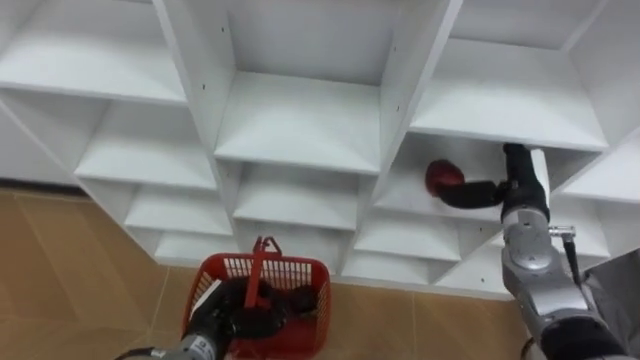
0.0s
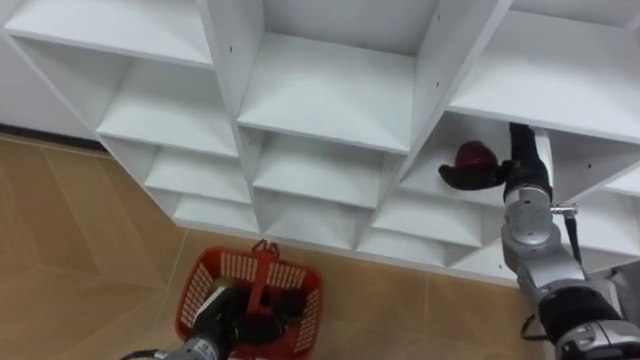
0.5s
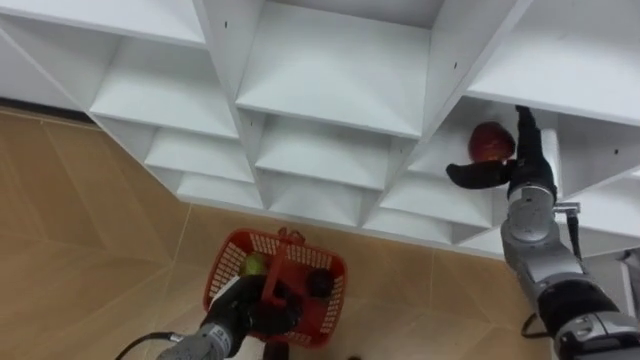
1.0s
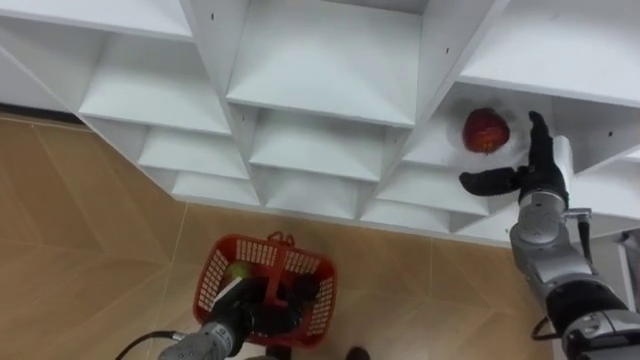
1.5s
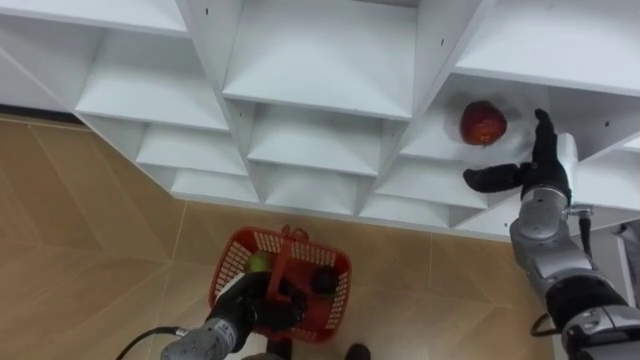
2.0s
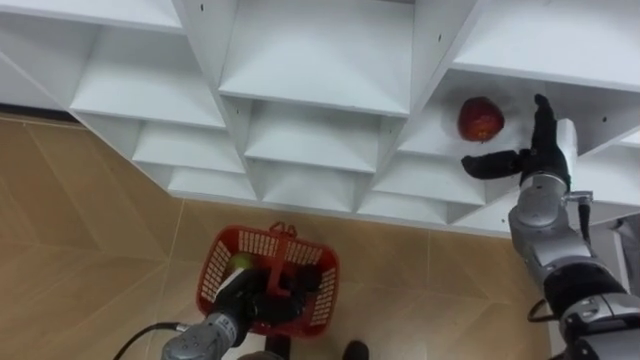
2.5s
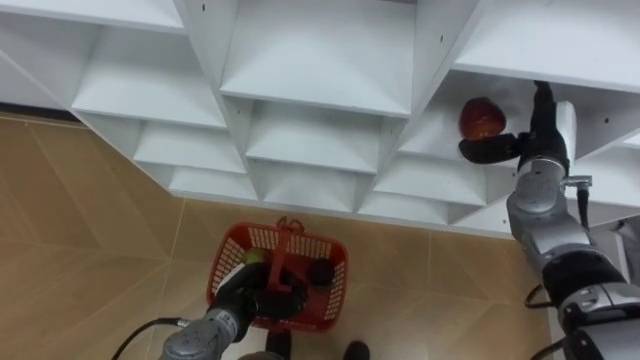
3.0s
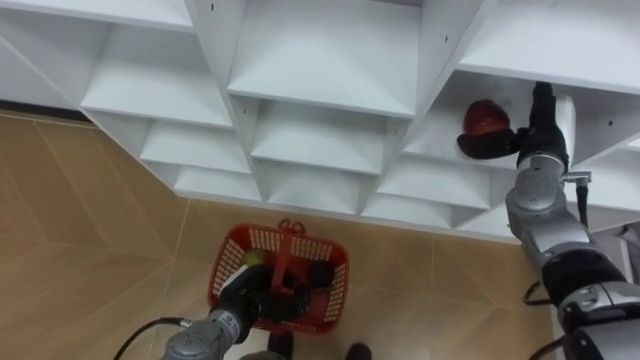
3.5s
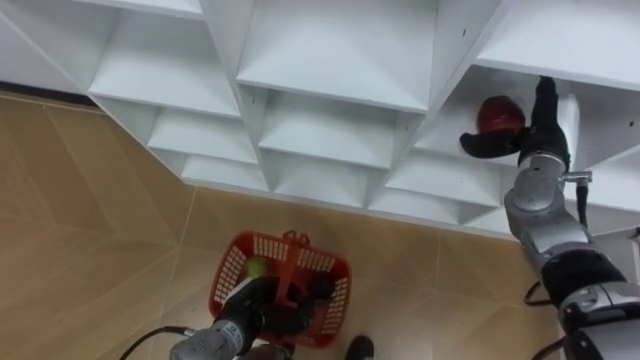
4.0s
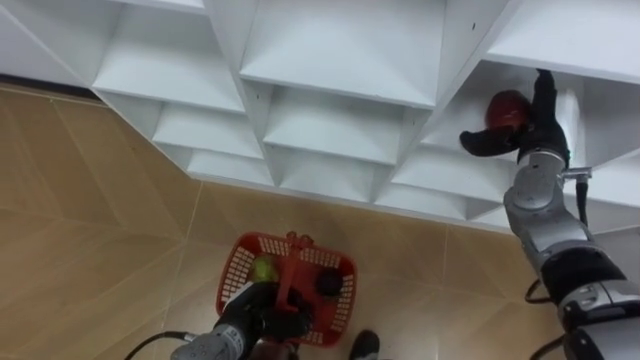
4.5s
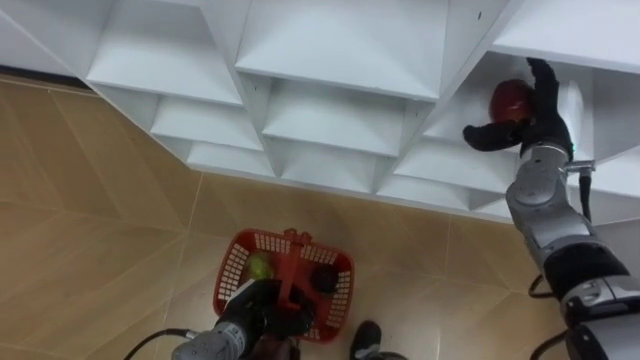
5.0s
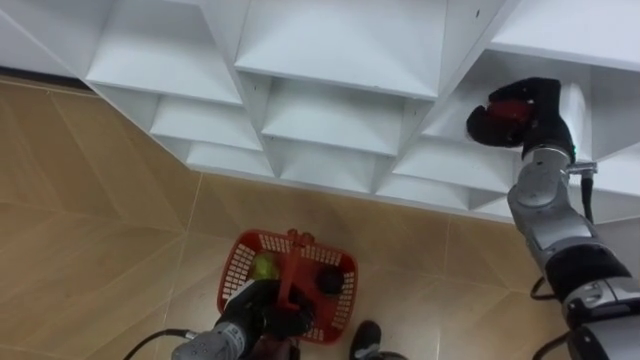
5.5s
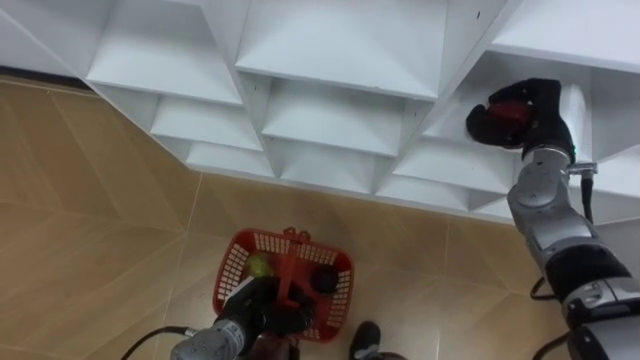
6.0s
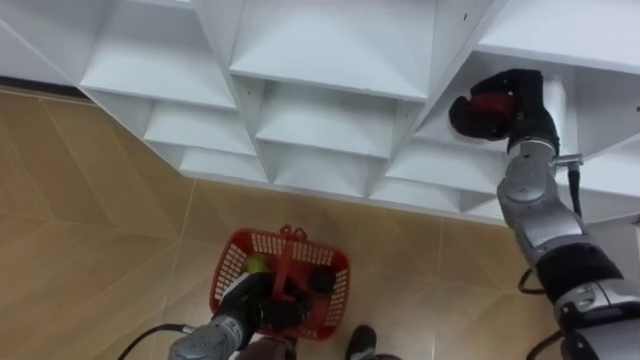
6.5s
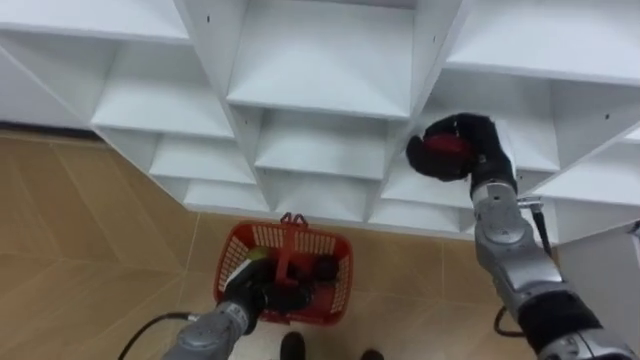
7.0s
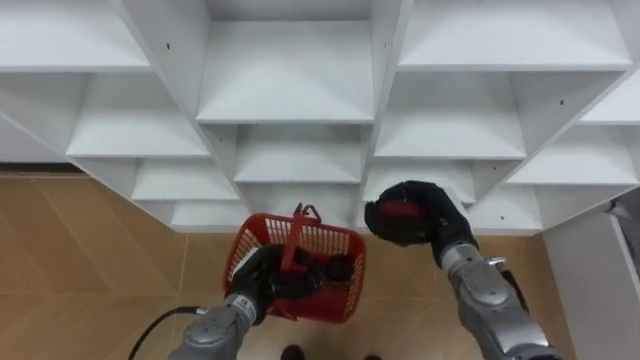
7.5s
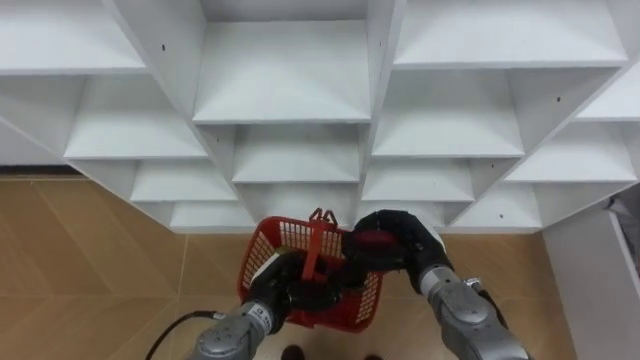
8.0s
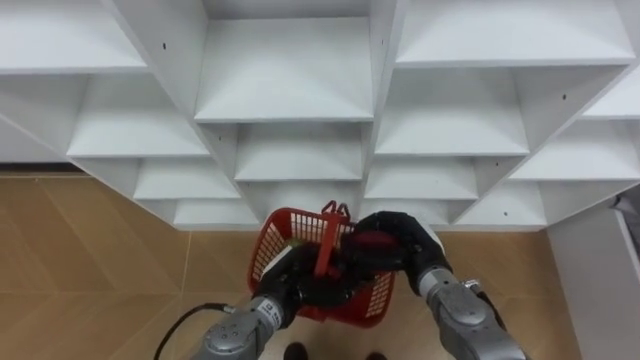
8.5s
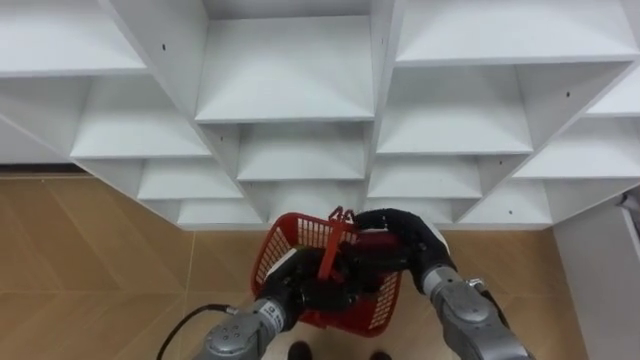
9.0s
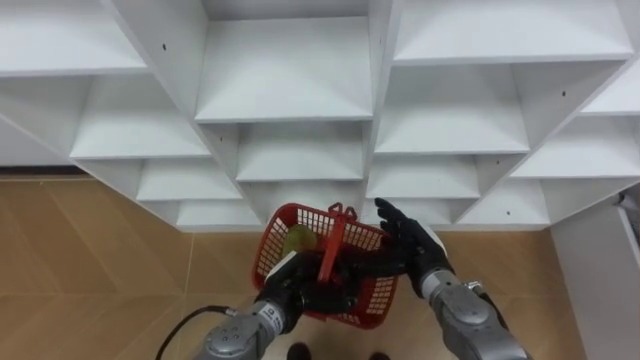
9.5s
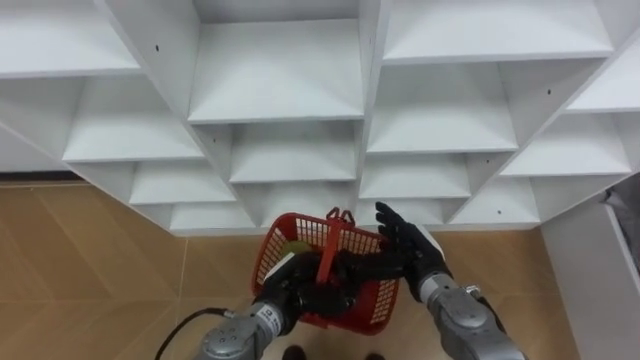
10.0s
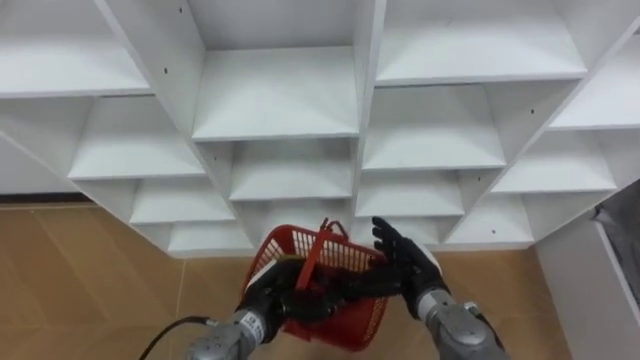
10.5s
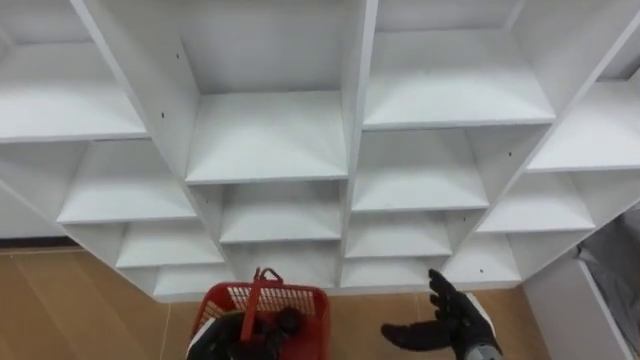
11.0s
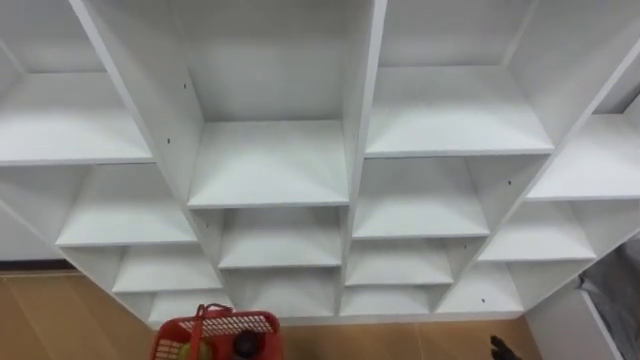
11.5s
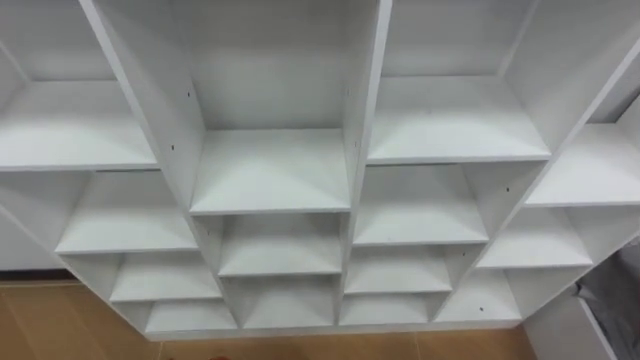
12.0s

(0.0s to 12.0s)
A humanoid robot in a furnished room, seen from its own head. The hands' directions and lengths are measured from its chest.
Task of the whole recording: Hold the basket and collect the fruits from 3 different cells of the closet into it.
2.0s - 4.0s: The right hand changes place by approximately 5 cm.
4.0s - 6.0s: The right hand closes up.
6.0s - 8.0s: The left hand moves approximately 5 cm. Meanwhile the right hand shifts approximately 25 cm to the left, downward and backward.
8.0s - 10.0s: The right hand opens up.
